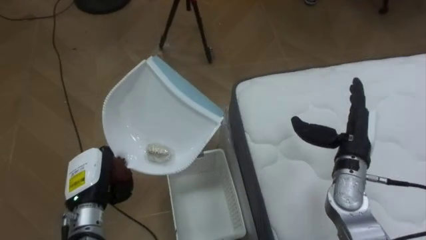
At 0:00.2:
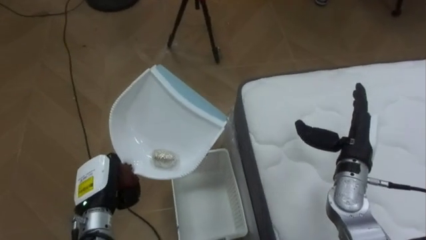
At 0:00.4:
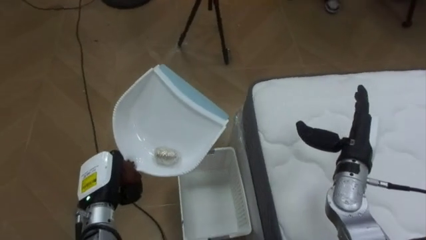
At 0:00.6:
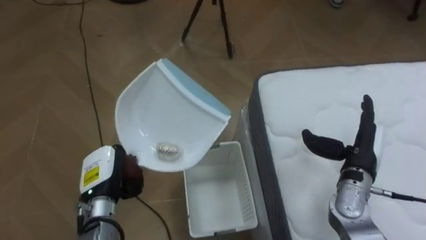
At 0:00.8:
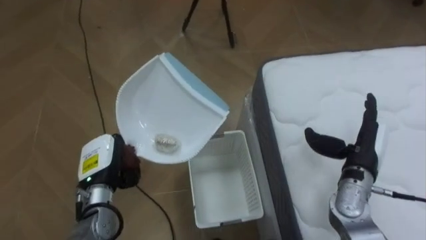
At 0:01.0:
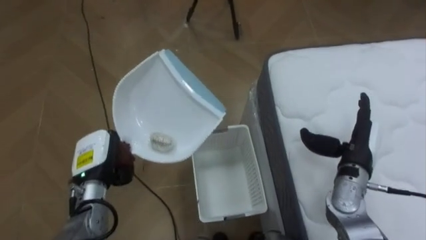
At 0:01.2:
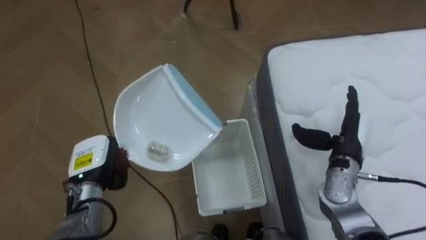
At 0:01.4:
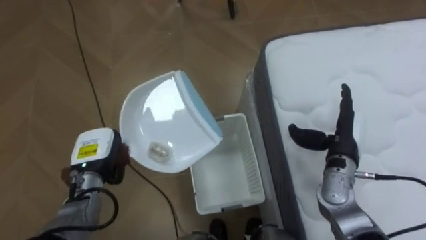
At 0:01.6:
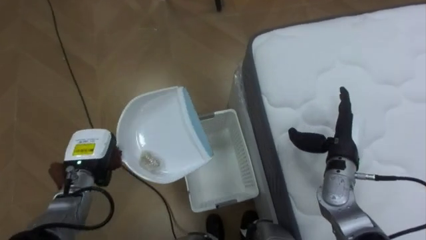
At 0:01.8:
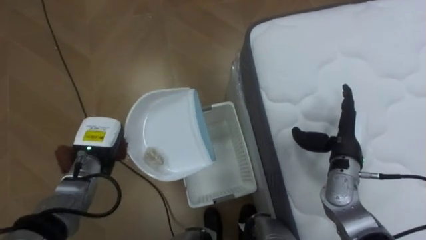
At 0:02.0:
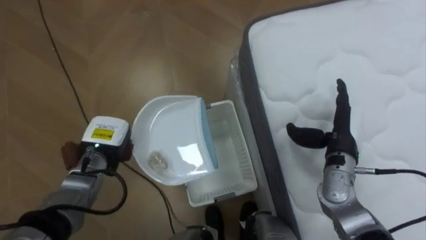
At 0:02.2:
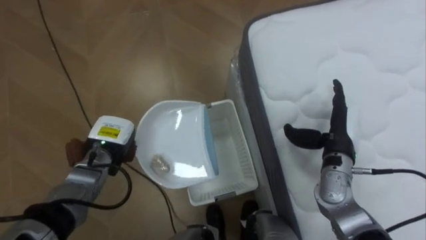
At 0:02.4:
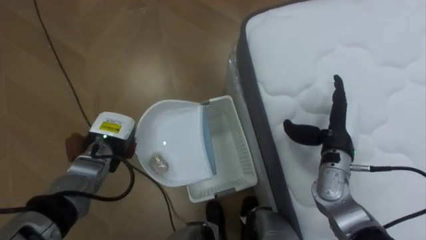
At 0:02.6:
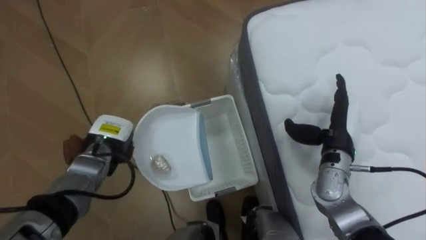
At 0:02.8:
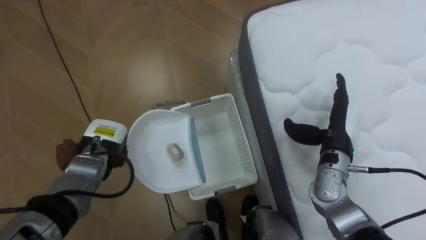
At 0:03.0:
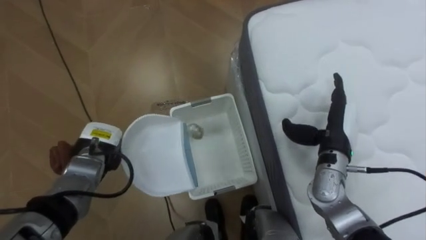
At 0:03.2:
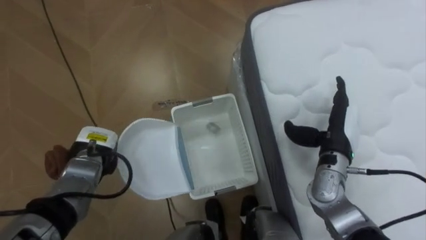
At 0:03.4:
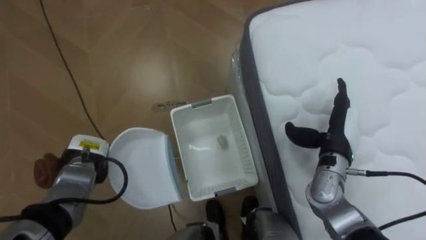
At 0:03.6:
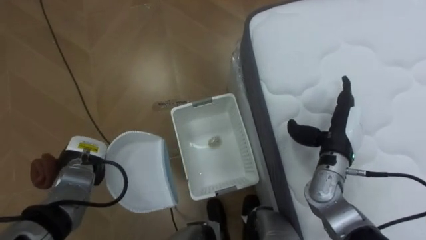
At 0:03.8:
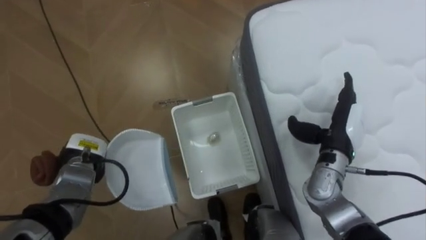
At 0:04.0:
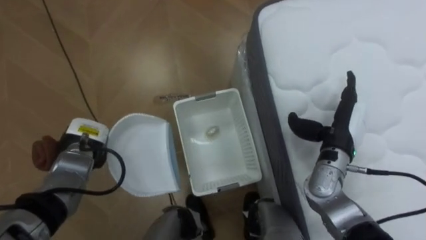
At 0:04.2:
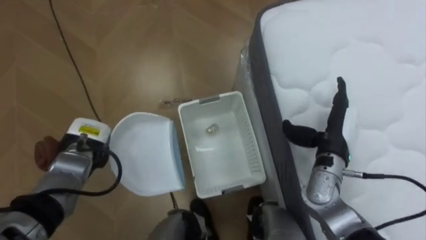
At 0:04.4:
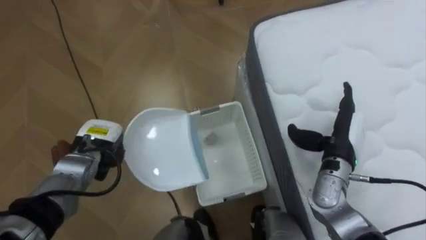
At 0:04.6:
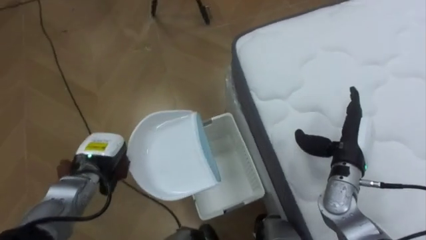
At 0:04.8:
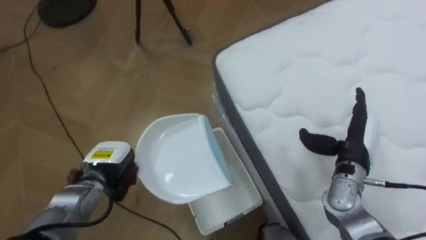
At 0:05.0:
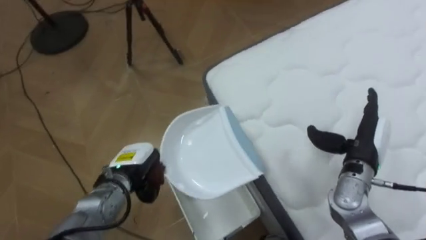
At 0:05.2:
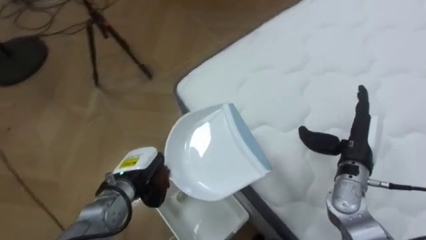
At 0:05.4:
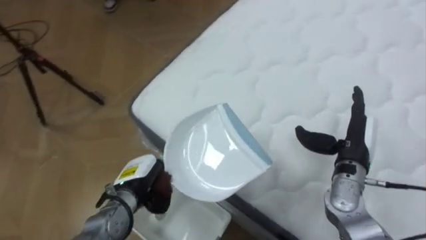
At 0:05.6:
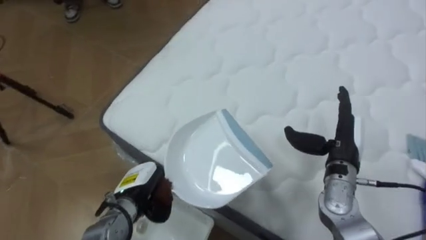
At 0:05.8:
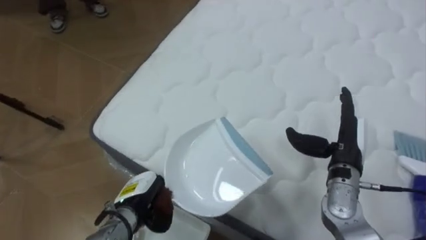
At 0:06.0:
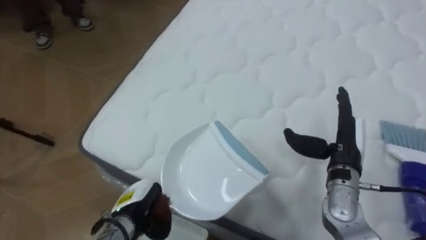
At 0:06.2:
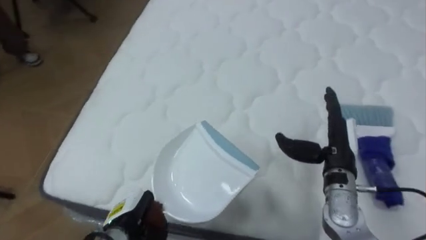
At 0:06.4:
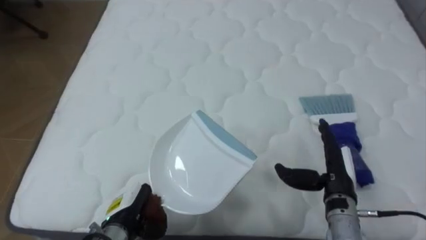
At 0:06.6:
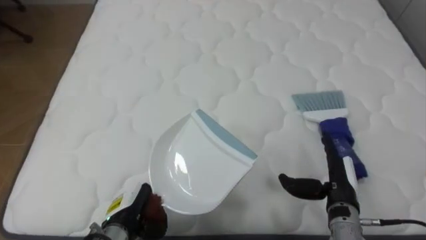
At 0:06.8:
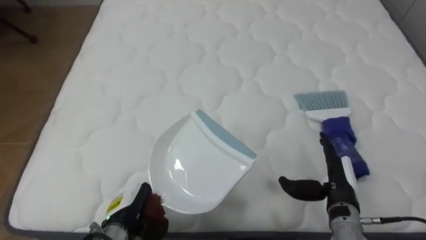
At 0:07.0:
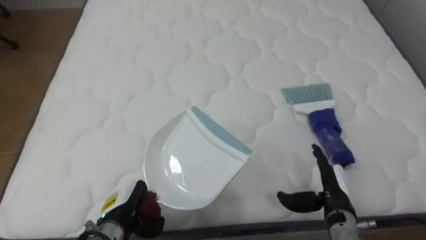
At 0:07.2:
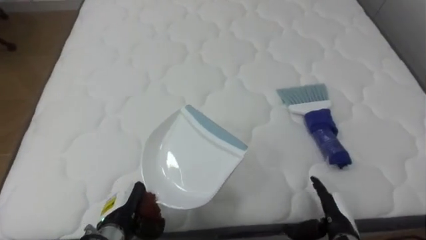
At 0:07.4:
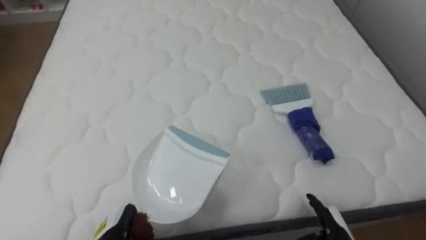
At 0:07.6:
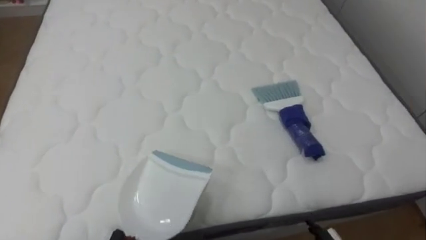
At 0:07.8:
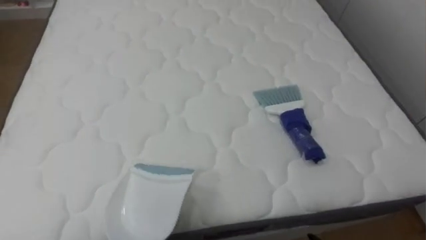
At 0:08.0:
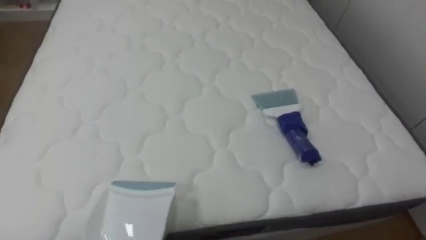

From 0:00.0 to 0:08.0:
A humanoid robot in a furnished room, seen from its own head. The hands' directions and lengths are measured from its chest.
Task of the whole recording: Pick up the brush on your right and the dustpan on your left. Use the brush to sweep the crumpled paper on the bed into the dustpan, then turn left and empty it into the basket.
From 0:00.0 to 0:01.6: The left hand shifts roughly 5 cm forward.
From 0:04.8 to 0:06.4: The robot's body swings about 65 degrees to its right. The right hand changes place by roughly 5 cm. Meanwhile the left hand heads backward, covering some 10 cm.

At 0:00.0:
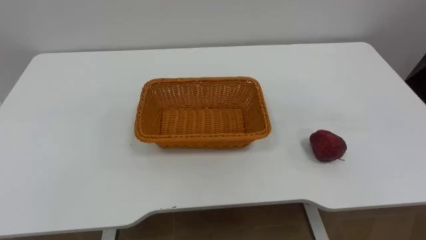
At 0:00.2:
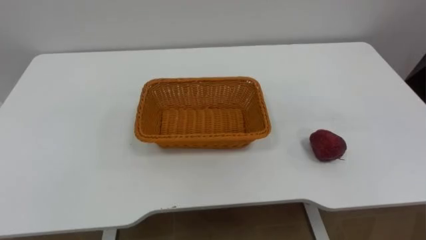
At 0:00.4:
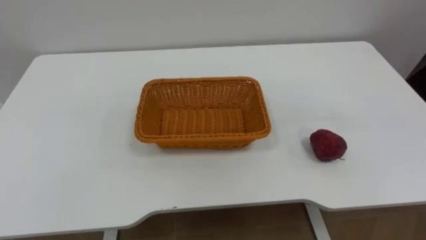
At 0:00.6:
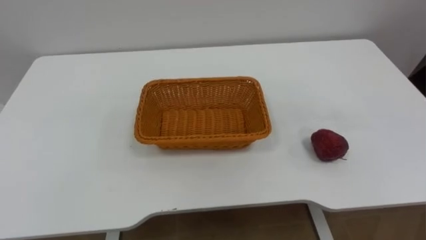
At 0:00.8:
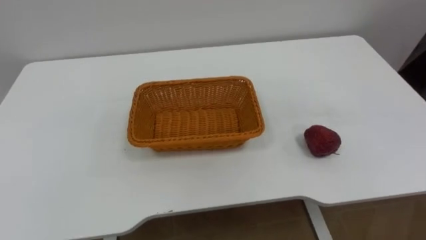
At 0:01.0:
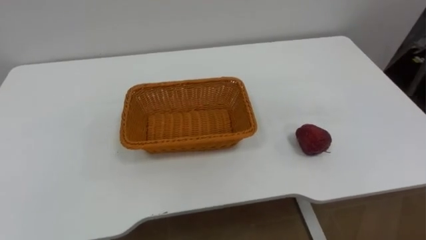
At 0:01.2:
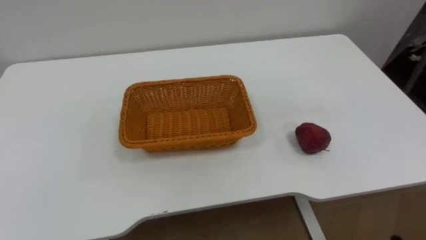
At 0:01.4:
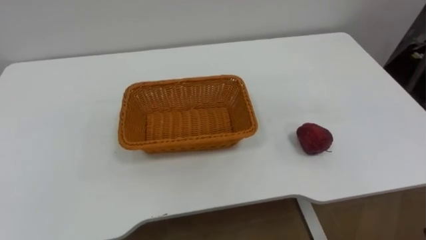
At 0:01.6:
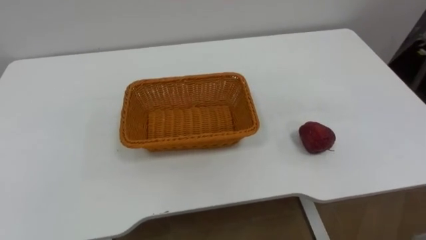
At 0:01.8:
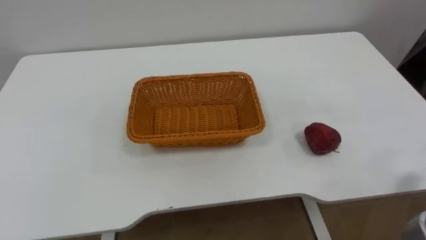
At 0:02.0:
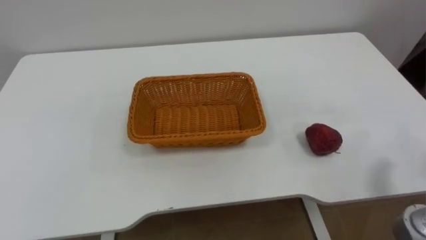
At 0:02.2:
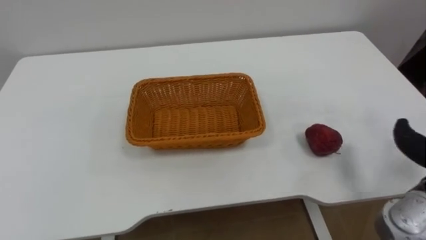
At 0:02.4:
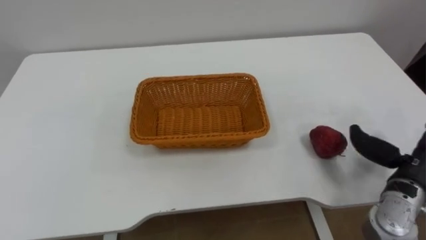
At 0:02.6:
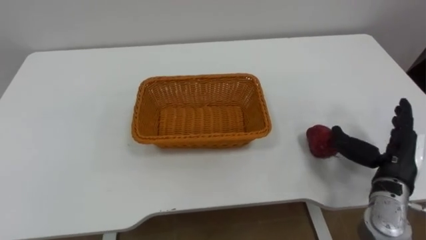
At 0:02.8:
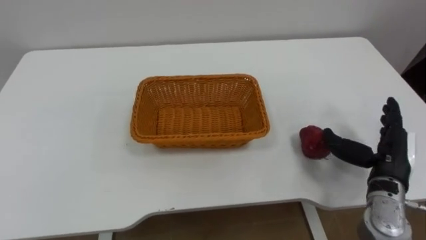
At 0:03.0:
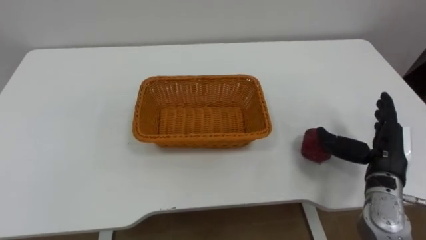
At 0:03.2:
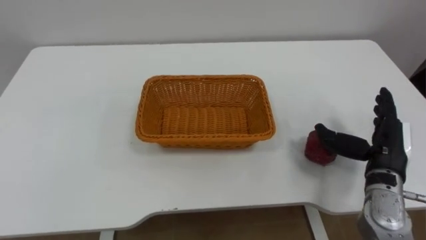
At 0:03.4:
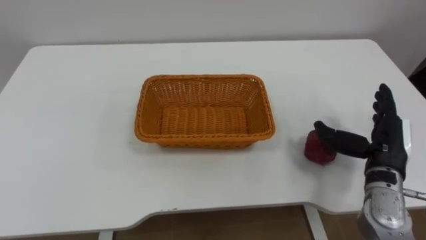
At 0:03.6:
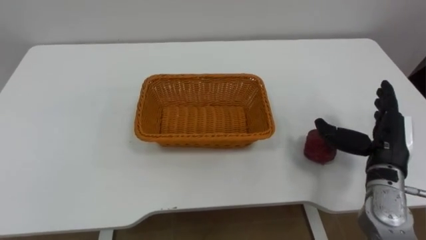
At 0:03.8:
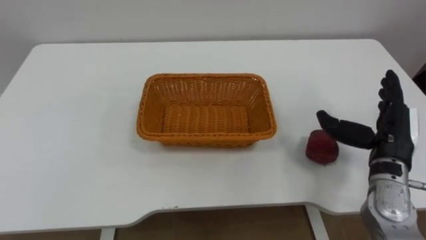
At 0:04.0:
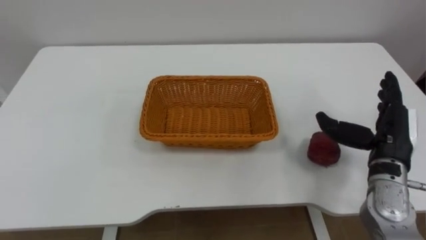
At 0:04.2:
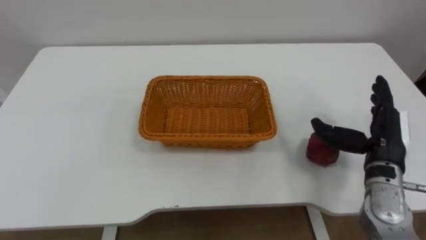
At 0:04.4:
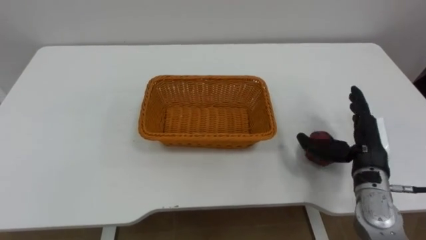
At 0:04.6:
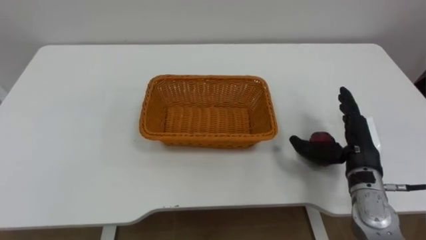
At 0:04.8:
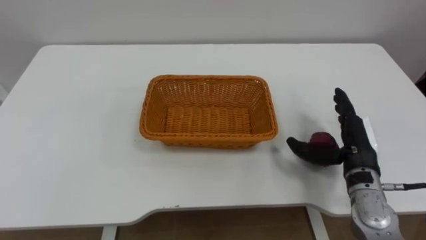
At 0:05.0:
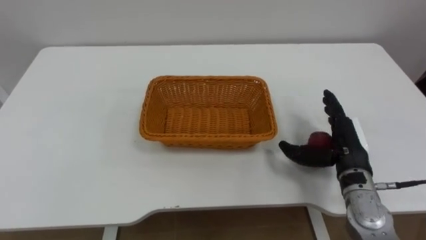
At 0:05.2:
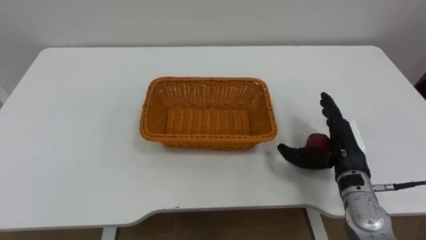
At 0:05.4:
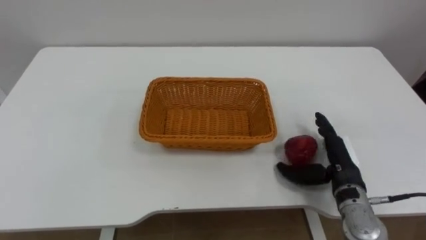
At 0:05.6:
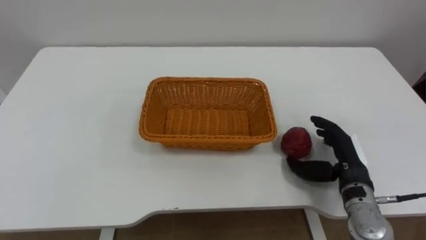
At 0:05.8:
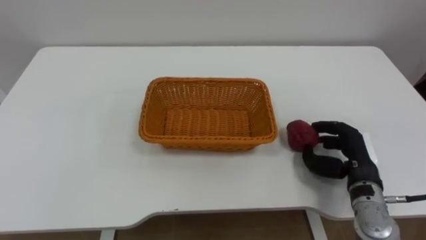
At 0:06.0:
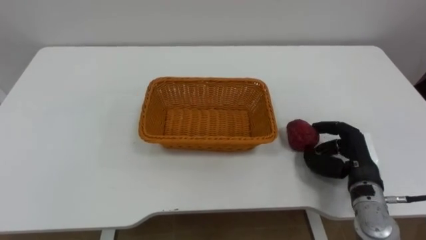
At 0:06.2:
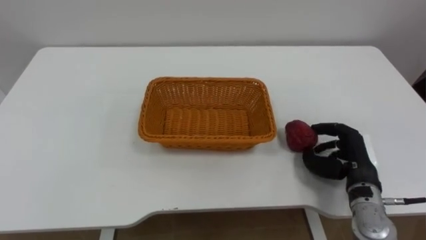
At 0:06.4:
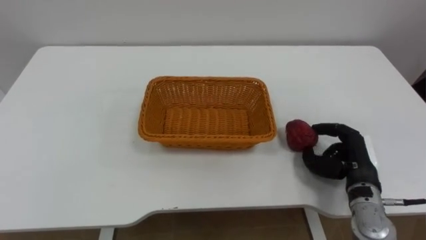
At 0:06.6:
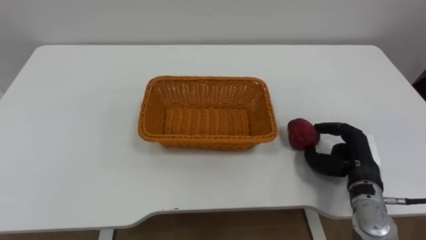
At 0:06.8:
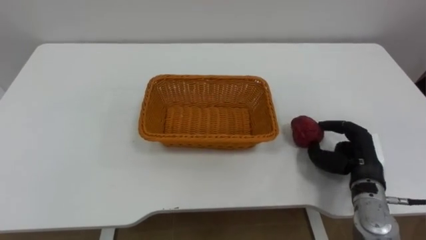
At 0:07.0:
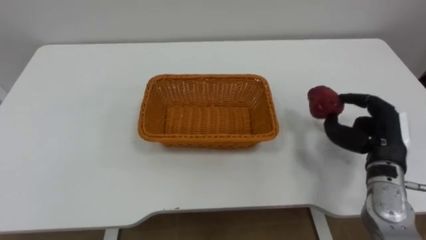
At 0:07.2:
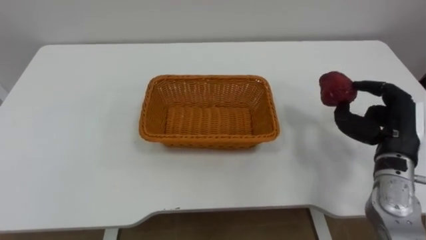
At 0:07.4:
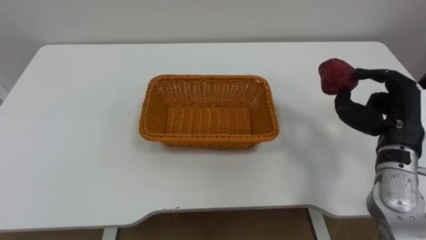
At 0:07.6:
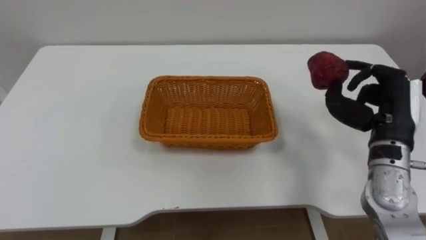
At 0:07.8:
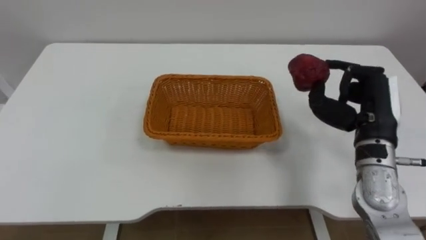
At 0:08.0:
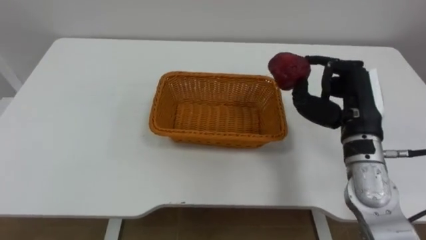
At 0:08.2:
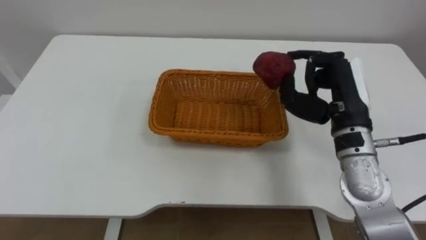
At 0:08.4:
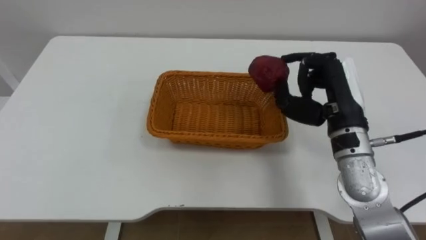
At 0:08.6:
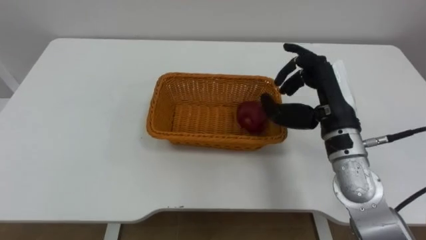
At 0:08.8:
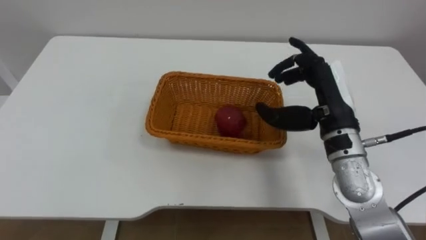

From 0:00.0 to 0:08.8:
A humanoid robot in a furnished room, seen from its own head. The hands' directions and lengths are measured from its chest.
Task of the whole recording: Pick the apple and place it in the box.
From 0:04.4 to 0:05.8: The right hand closes.
From 0:05.8 to 0:07.4: The right hand heads upward, covering about 10 cm, and closes its fingers.
From 0:07.4 to 0:08.8: The right hand goes some 10 cm to the left, and opens up.
